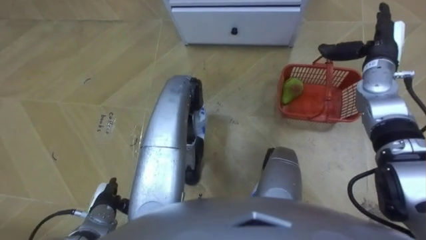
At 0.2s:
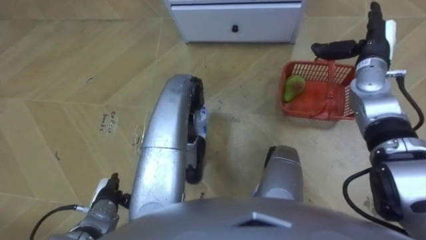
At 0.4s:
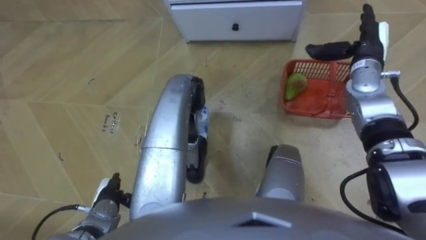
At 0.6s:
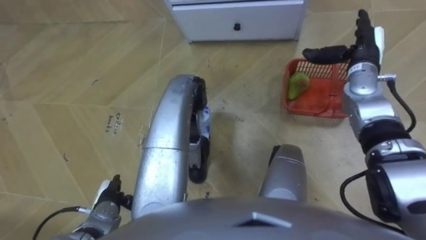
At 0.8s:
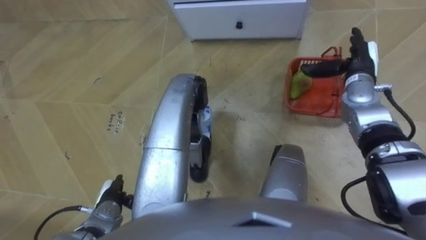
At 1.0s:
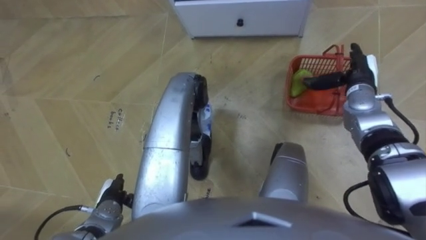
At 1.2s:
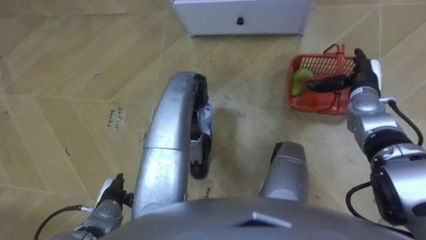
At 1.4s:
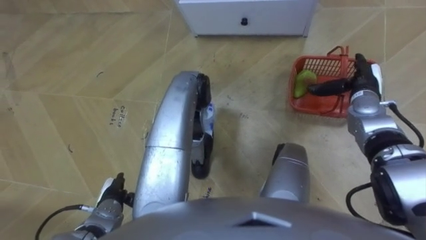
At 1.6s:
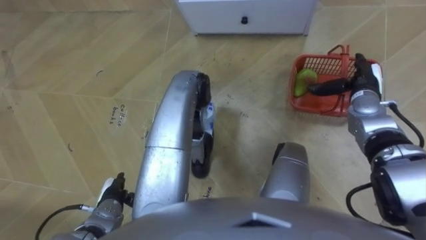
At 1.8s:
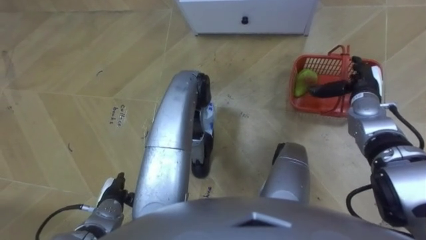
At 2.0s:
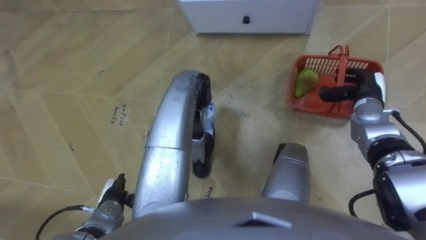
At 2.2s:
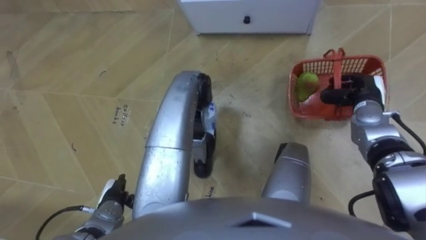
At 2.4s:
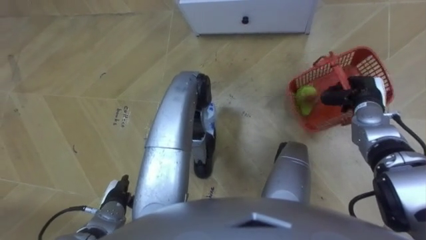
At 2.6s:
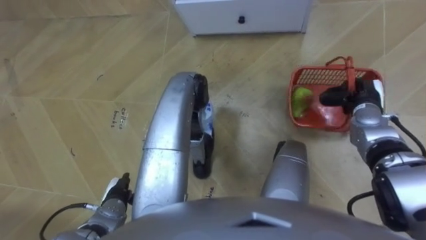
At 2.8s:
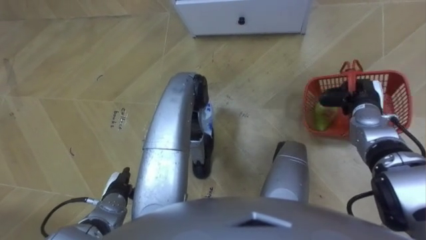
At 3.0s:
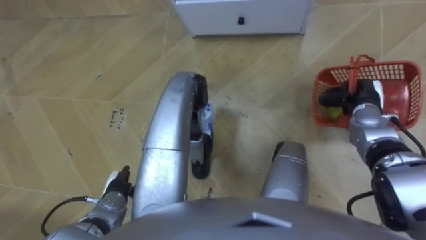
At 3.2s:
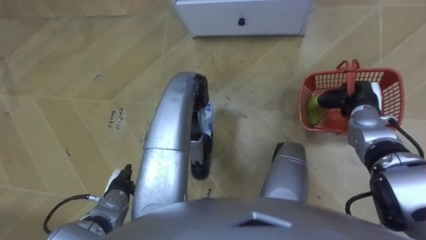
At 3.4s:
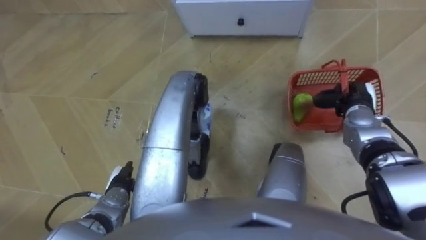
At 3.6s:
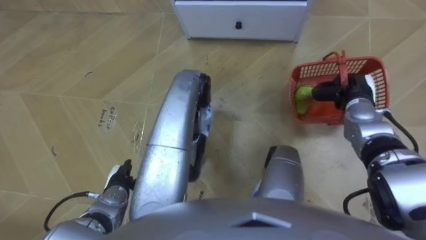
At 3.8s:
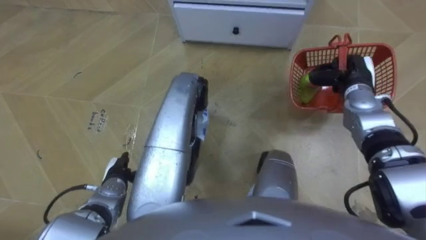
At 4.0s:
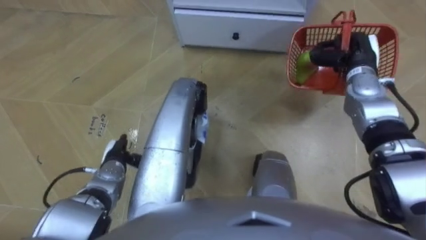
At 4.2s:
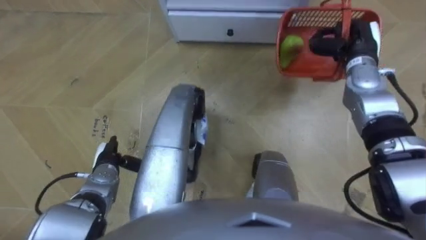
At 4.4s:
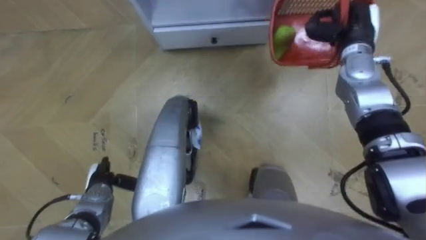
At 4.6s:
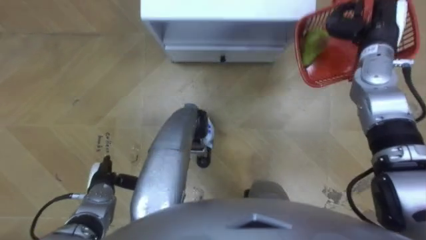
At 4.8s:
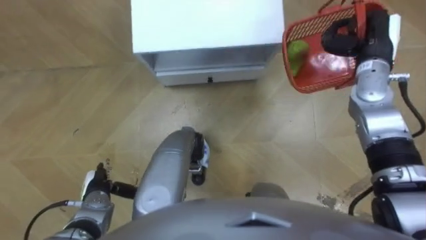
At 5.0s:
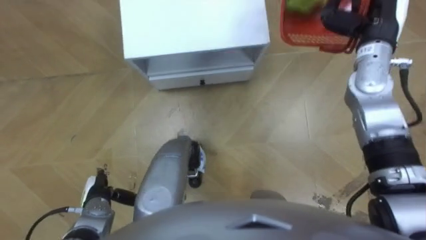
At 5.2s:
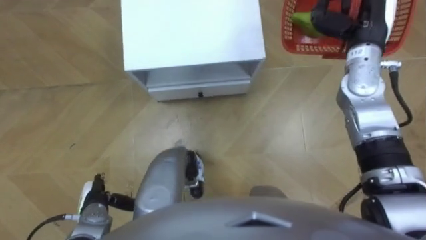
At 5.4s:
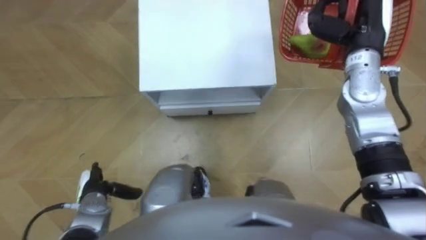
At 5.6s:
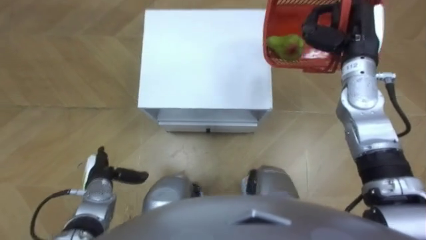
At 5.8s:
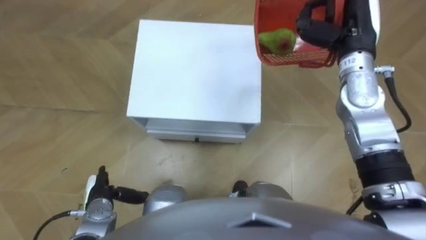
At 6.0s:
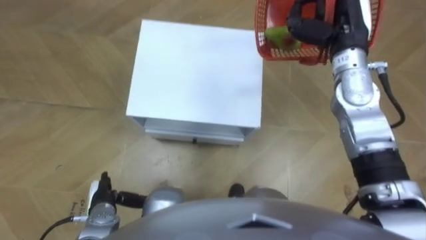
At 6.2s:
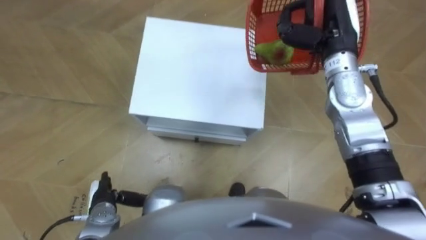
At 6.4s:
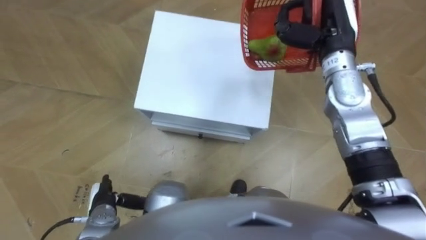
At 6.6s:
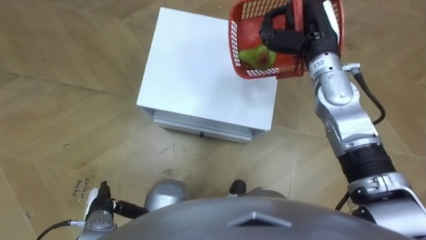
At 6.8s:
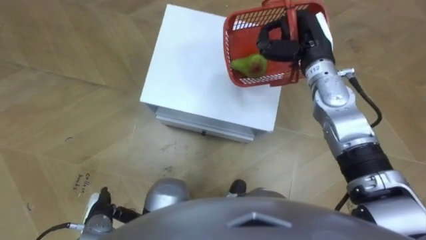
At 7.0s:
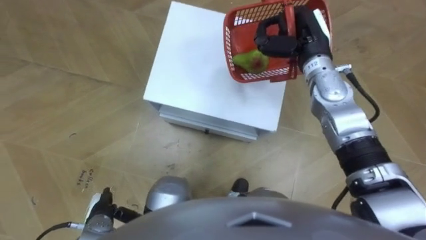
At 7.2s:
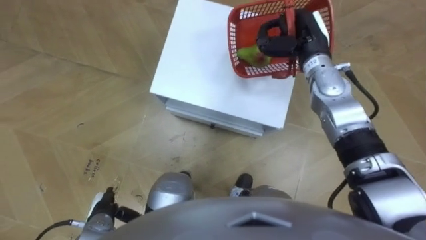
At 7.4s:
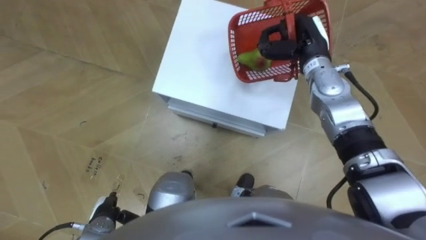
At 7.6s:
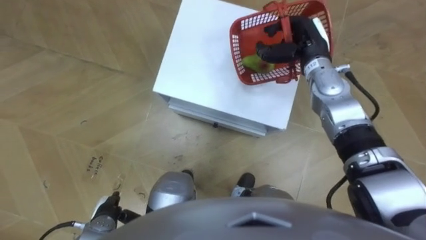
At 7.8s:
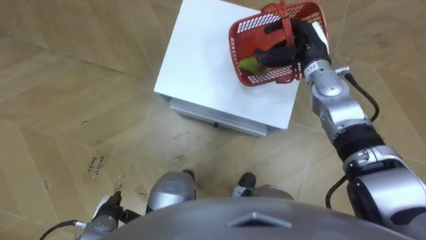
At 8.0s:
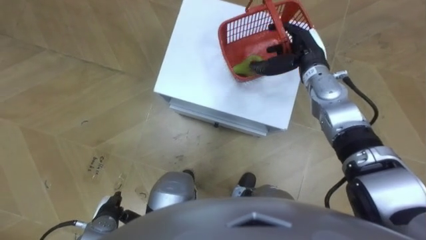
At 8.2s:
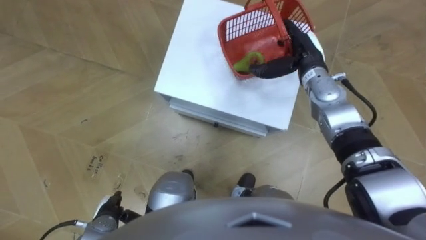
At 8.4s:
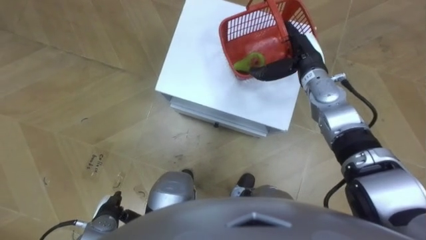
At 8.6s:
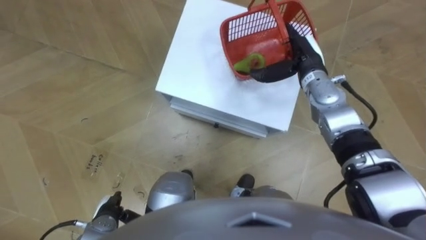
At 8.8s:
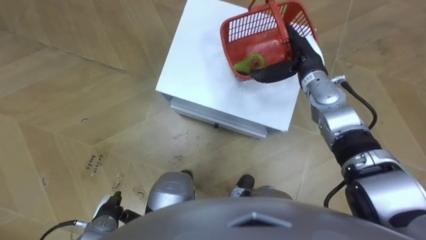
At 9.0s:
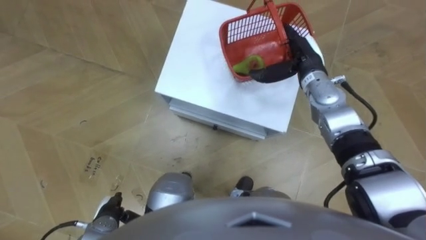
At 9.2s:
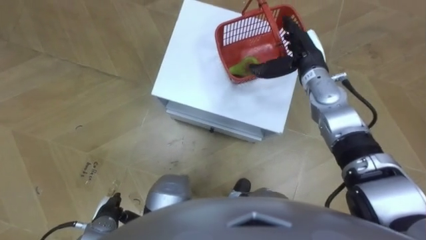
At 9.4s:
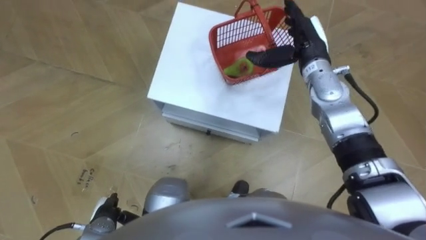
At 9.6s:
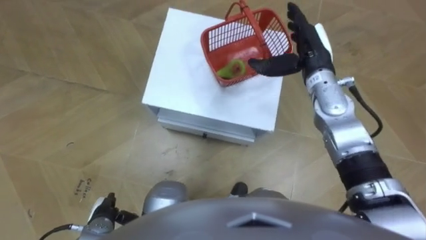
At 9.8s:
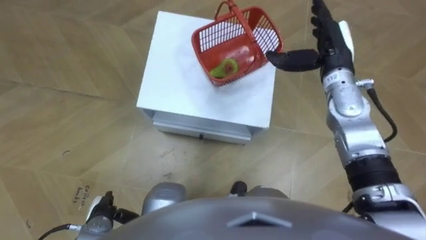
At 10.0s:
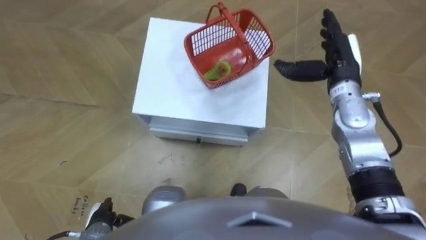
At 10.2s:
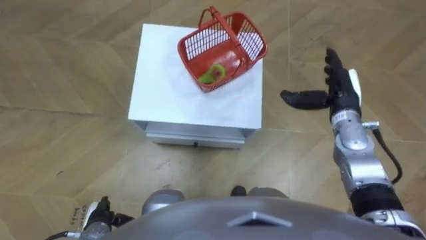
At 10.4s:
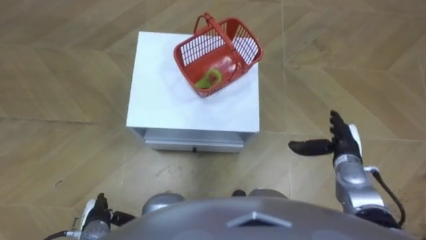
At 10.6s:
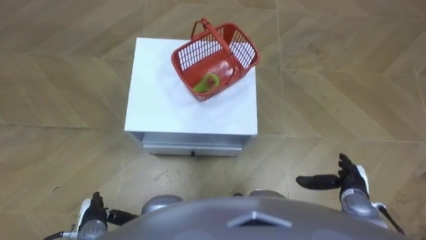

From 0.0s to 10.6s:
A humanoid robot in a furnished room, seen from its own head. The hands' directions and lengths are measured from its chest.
Task of the whole recording: Pick up the fruit basket from the floor and place it on the cabinet.
From 0.0s to 1.6s: The right hand is displaced downward by approximately 5 cm.
From 1.6s to 3.0s: The right hand closes its fingers.
From 3.0s to 4.6s: The right hand shifts about 15 cm upward and forward.
From 4.6s to 6.0s: The left hand moves forward and backward over some 5 cm, changing direction 2 times, while the right hand shifts roughly 5 cm to the left.
From 6.0s to 7.6s: The right hand shifts some 5 cm downward.
From 7.6s to 9.0s: The right hand opens its fingers.
From 9.0s to 10.6s: The right hand shifts roughly 30 cm backward, downward and to the right.

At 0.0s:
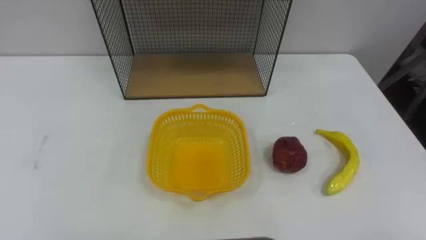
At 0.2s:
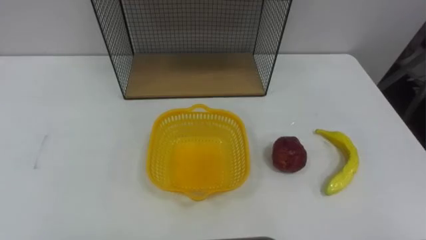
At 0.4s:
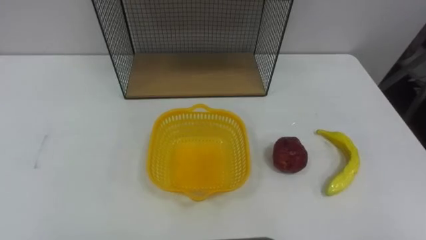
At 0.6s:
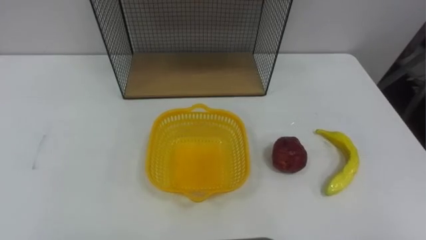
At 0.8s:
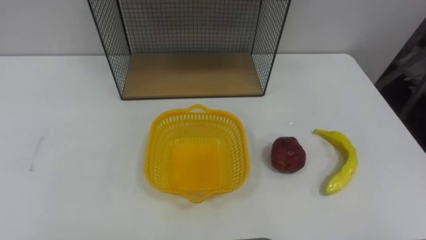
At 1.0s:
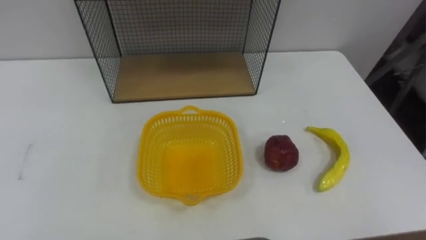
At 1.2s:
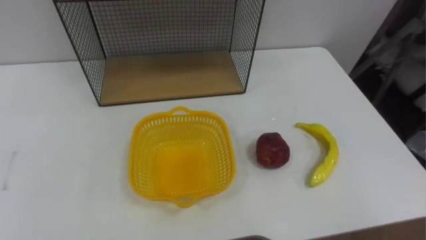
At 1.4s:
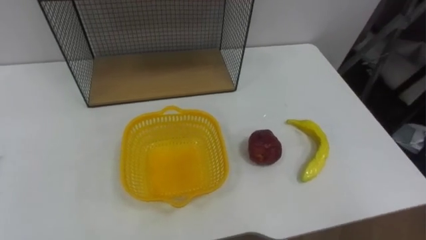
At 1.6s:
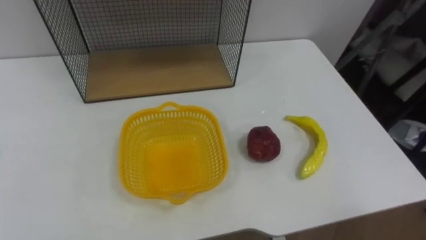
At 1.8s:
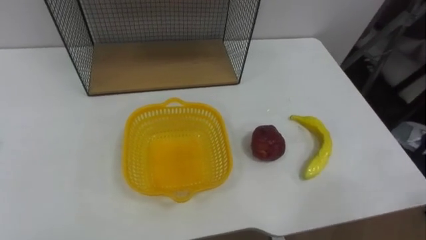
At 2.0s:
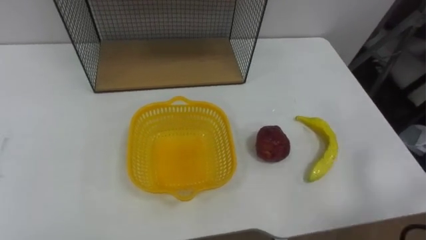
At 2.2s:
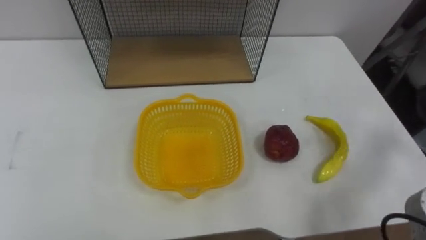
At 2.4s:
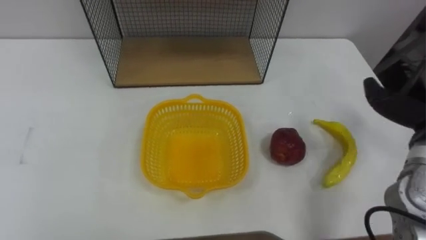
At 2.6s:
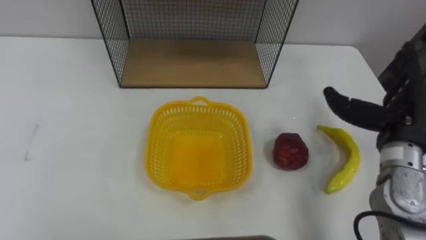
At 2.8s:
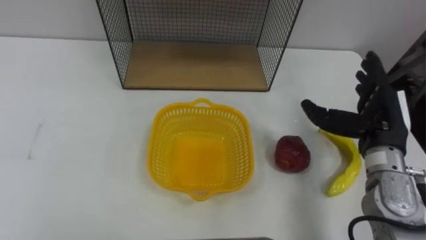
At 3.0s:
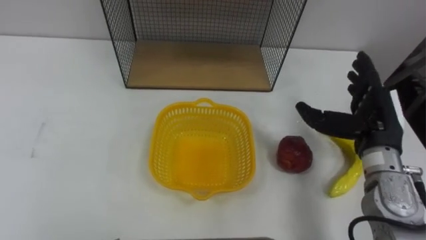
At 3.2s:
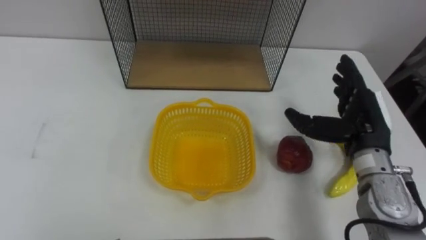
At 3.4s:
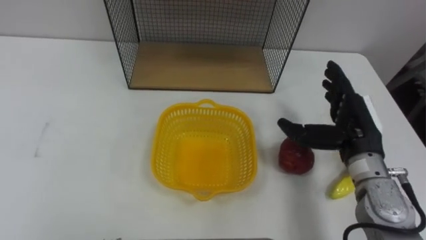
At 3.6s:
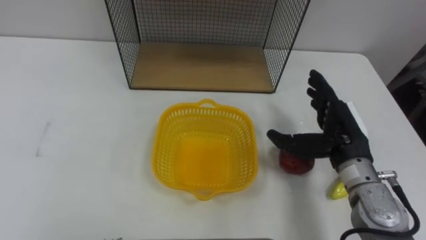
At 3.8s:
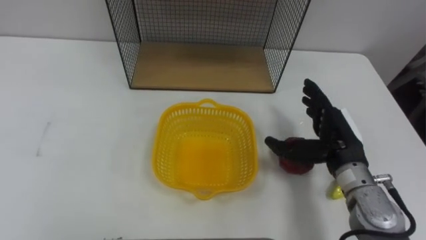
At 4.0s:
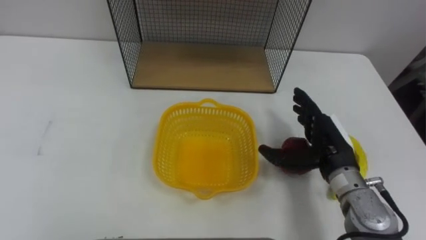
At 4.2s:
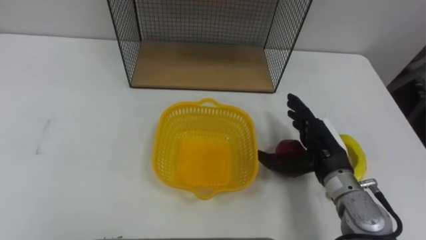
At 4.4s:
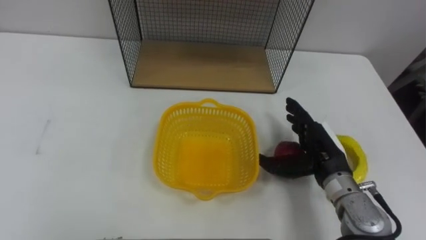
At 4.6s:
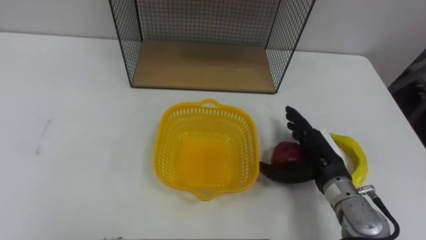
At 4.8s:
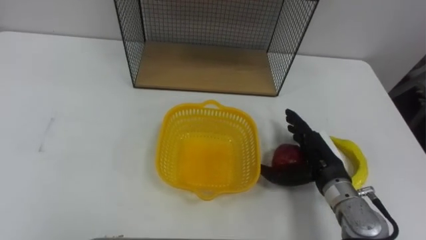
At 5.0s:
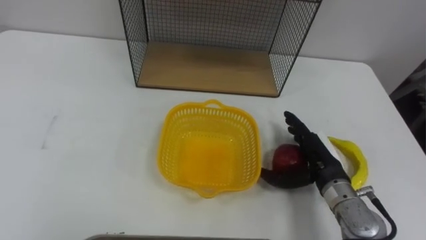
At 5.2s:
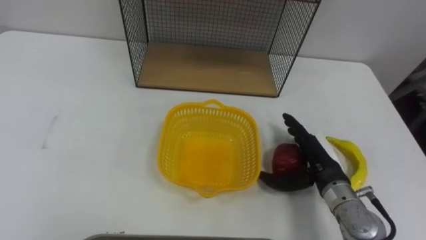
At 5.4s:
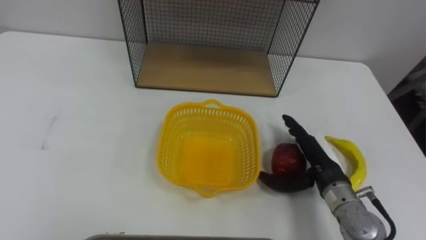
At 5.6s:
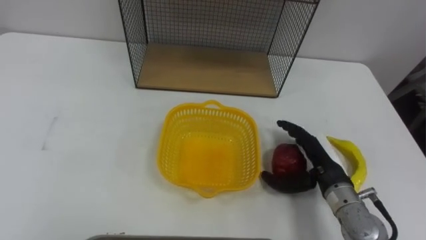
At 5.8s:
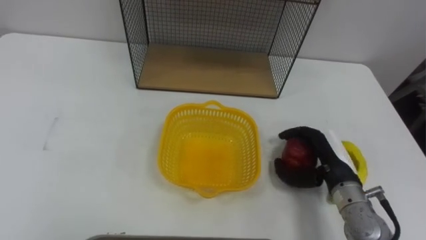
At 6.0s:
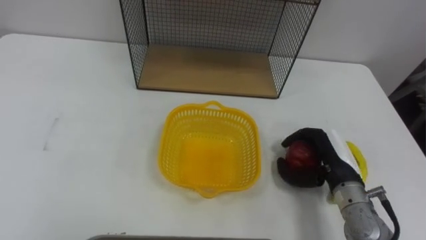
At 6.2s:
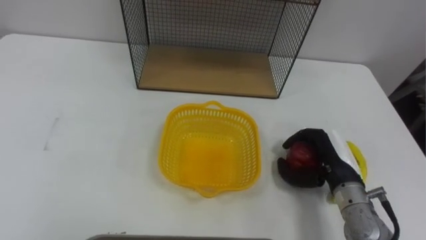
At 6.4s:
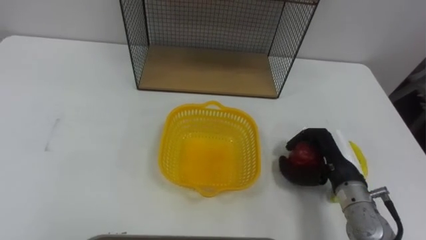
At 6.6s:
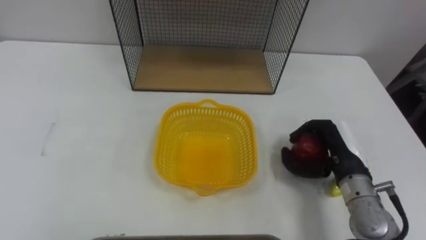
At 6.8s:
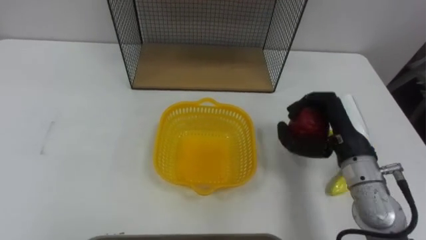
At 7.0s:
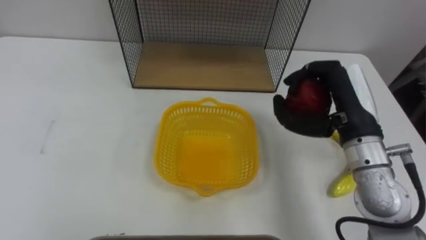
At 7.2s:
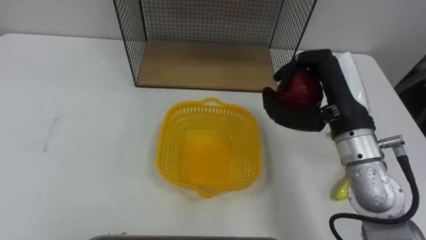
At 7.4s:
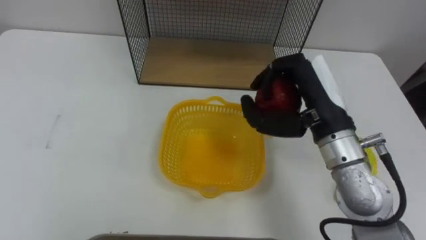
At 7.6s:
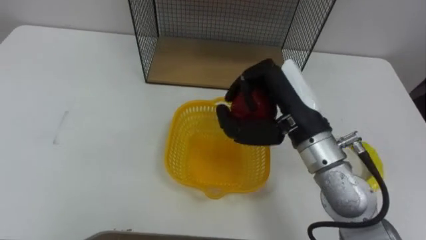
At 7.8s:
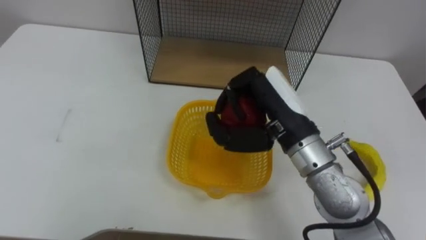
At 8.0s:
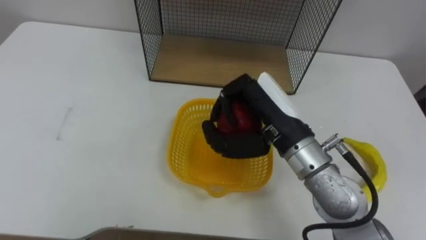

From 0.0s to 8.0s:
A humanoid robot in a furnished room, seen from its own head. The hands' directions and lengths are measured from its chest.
Task of the whole recording: Put the fruit on the table into the basket, then place the basket on the shelf.
From 3.2s to 4.8s: The right hand is displaced downward by approximately 10 cm.
From 4.8s to 6.4s: The right hand closes up.
From 6.4s to 8.0s: The right hand shifts about 20 cm upward and to the left.
